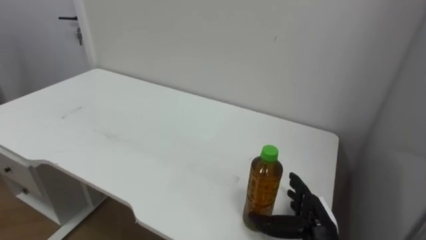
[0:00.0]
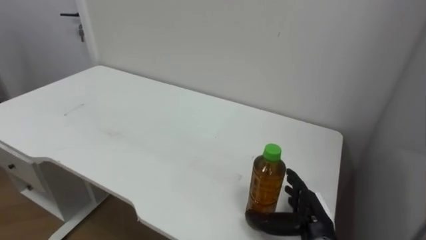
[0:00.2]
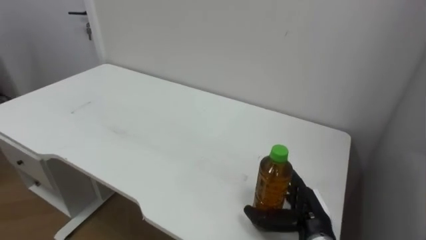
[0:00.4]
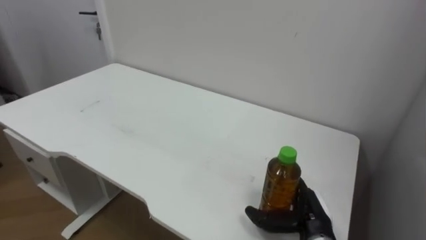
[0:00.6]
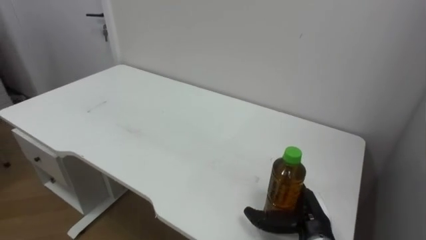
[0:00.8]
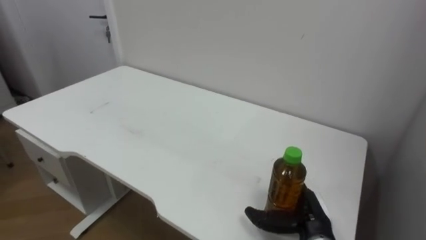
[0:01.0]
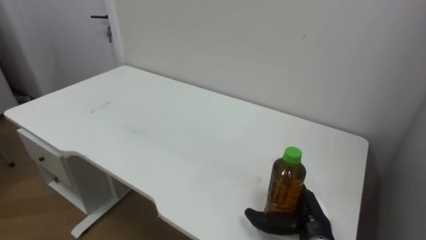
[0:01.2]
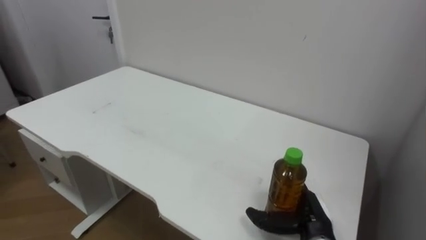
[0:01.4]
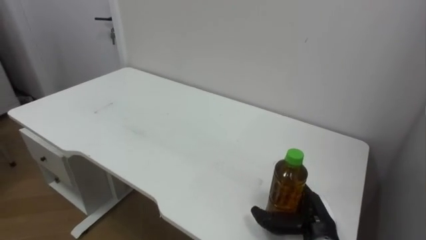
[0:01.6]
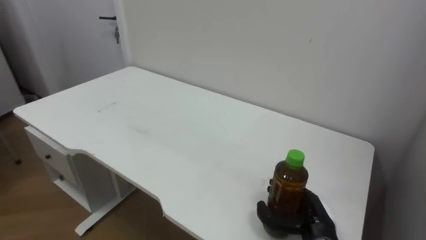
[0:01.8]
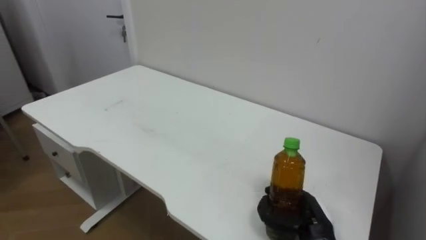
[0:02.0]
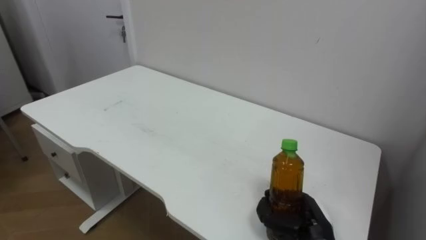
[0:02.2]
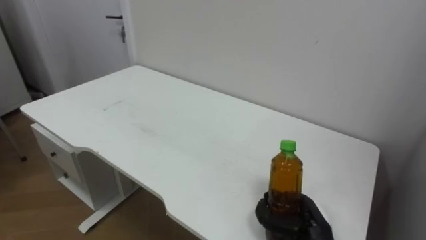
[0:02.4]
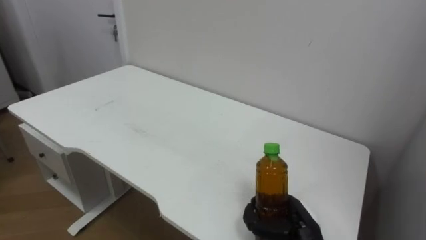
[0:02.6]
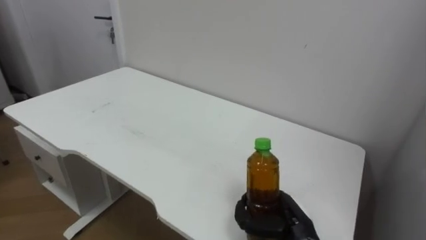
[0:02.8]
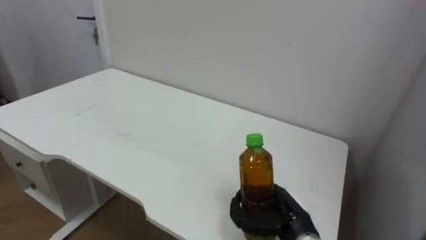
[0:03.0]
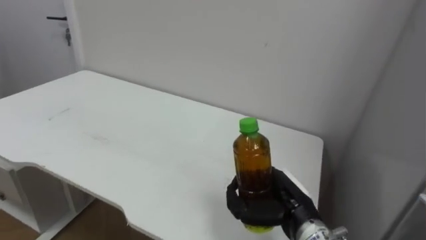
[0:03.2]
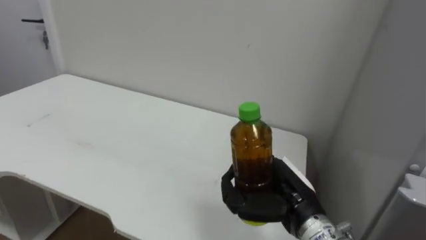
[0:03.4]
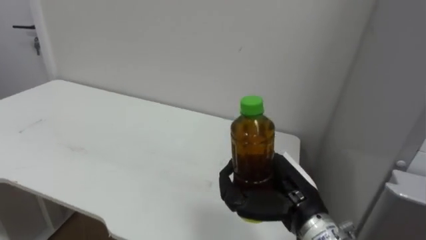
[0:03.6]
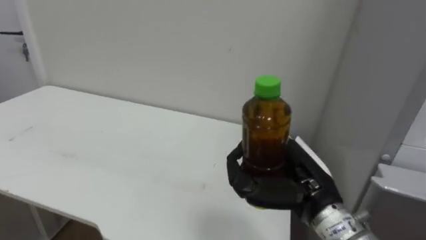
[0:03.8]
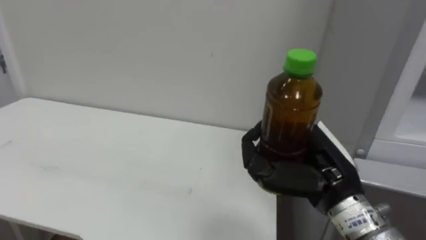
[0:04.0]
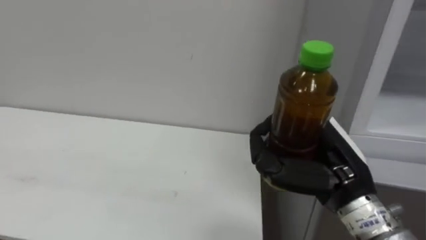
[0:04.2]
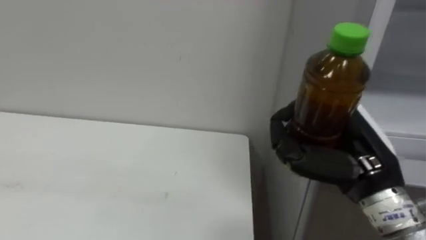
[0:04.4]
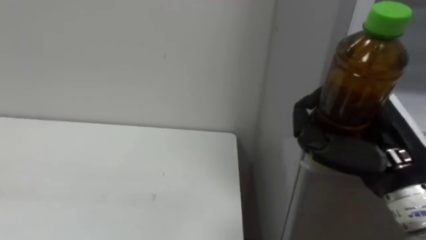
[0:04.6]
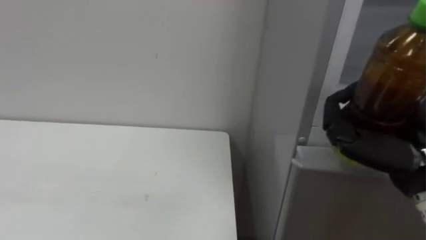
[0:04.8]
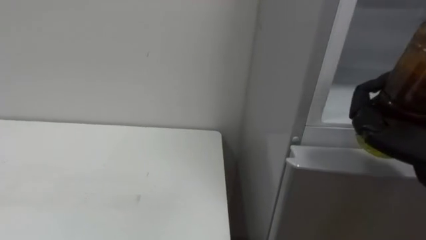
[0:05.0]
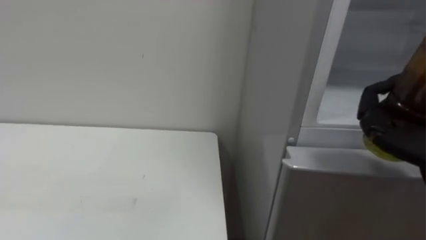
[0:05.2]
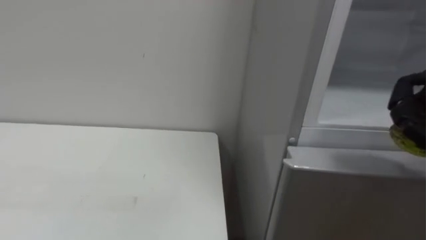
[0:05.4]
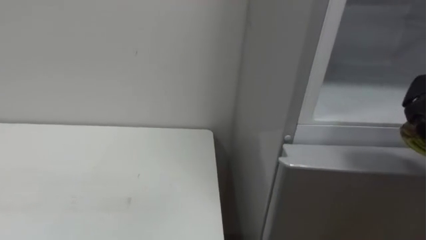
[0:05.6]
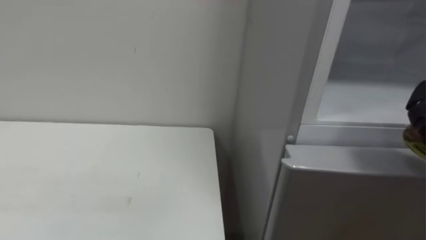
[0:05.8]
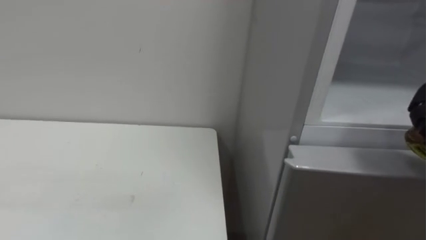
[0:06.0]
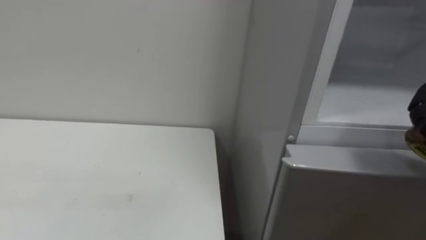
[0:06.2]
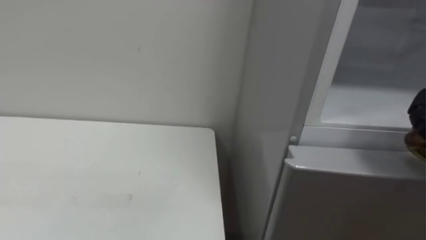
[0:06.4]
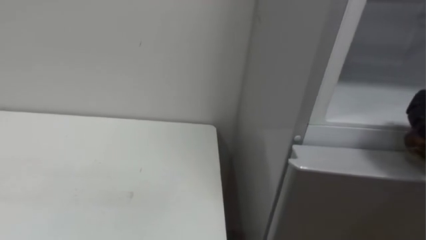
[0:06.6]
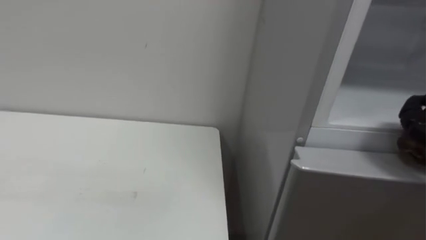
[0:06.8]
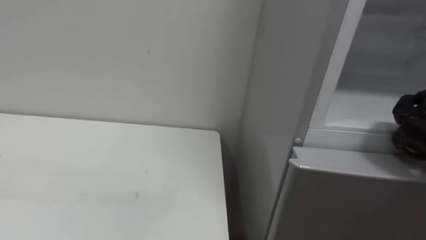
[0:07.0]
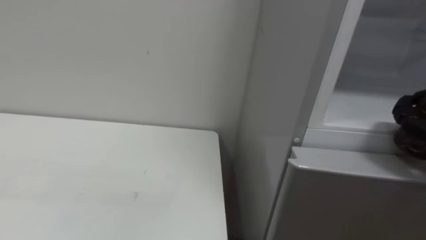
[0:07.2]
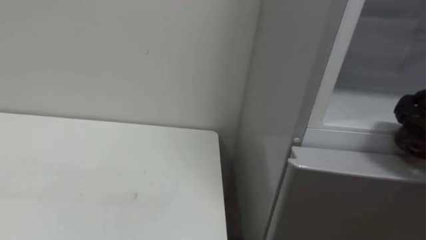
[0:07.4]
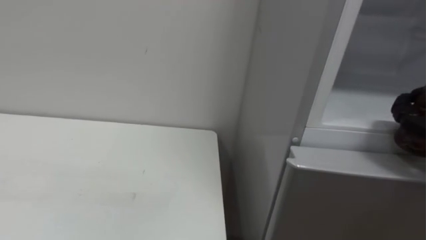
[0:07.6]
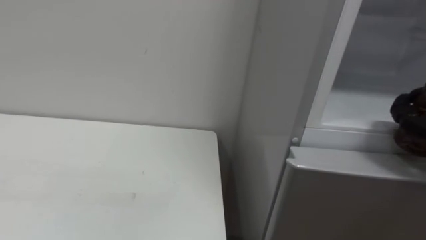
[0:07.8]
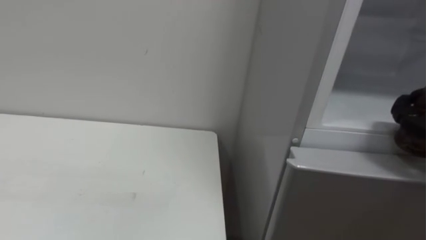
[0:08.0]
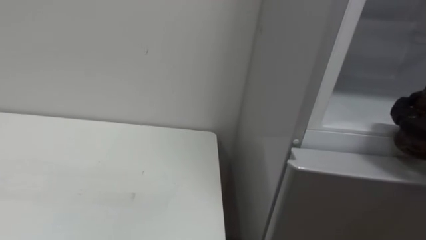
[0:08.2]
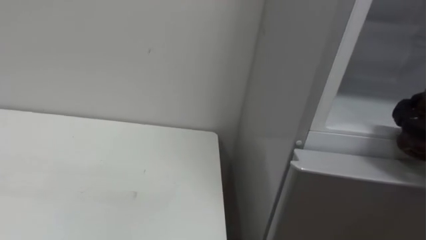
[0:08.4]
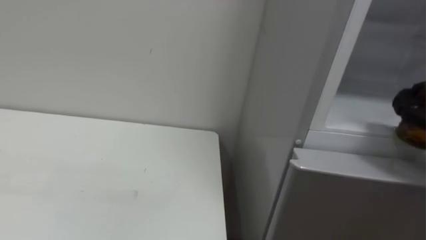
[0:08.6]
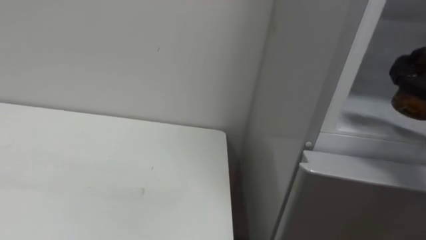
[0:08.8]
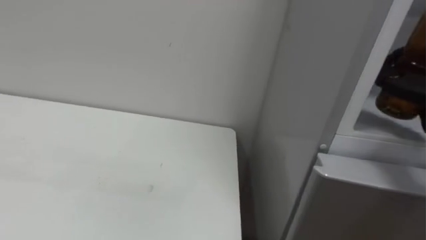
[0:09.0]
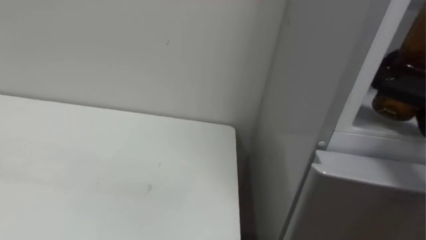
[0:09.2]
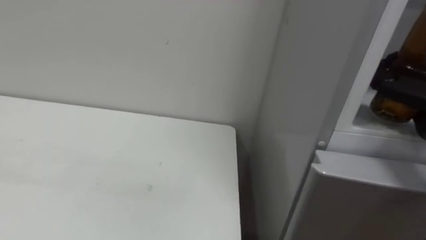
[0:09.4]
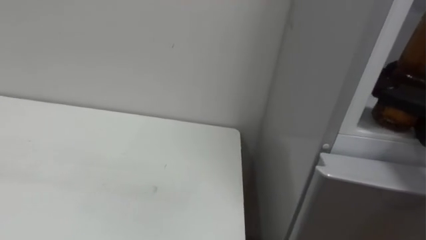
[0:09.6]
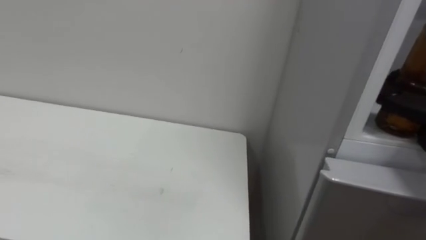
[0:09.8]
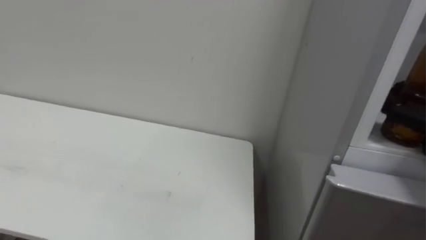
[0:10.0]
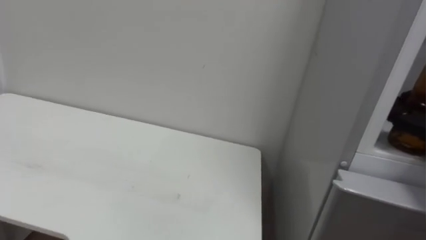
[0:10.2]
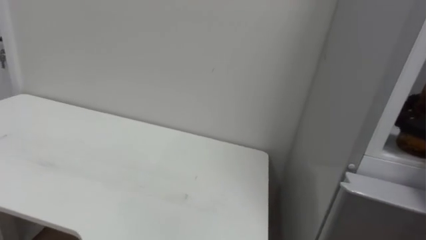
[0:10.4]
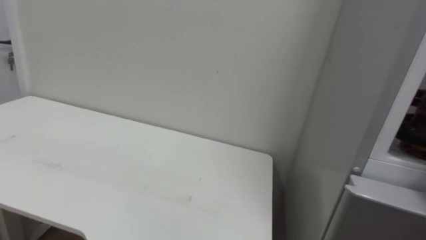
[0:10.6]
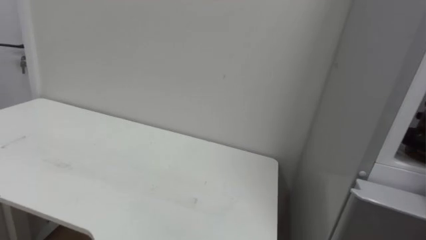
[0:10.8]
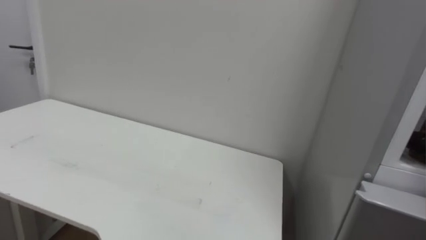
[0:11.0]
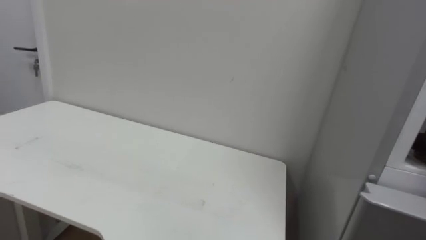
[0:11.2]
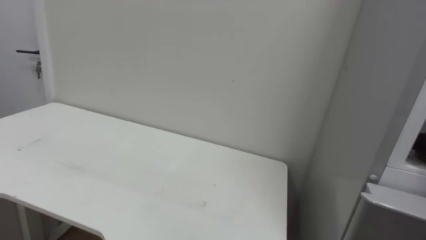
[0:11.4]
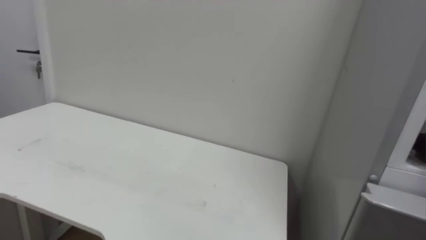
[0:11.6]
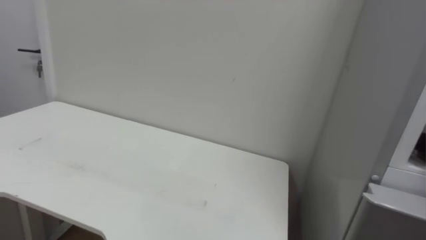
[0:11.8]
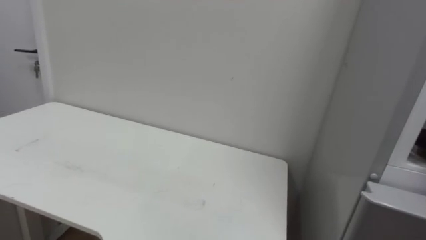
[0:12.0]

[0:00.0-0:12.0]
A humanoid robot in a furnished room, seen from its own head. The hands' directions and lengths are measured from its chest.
Task of the whole recording: Open the upper refrigerator door, put the drink from the table into the refrigerator, and then close the refrigerator door.
0:01.6 to 0:03.0: The right hand moves approximately 5 cm, and closes its fingers.
0:03.0 to 0:04.4: The right hand is displaced upward by approximately 20 cm.

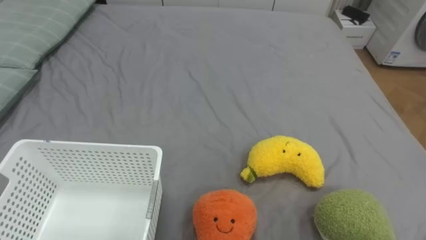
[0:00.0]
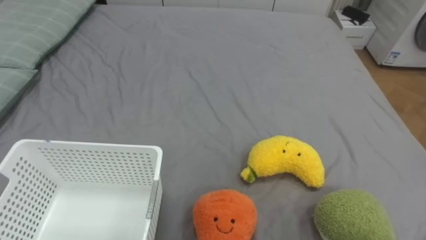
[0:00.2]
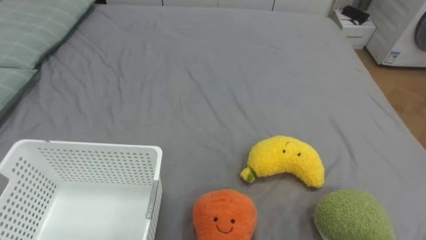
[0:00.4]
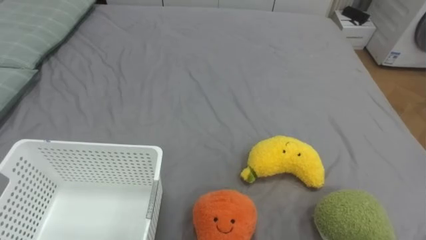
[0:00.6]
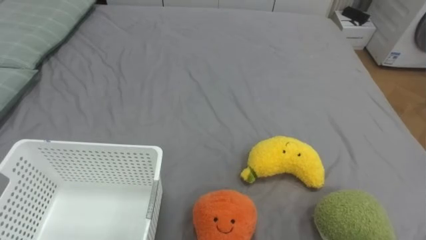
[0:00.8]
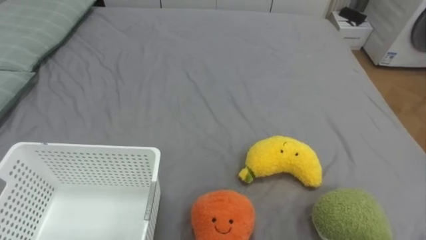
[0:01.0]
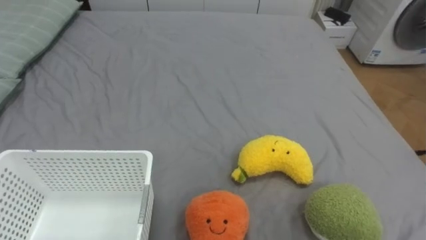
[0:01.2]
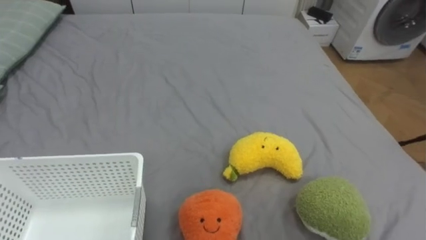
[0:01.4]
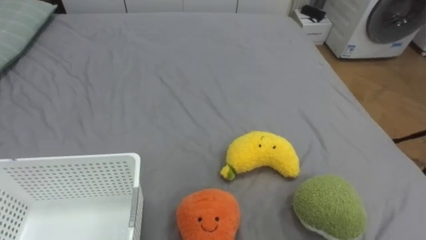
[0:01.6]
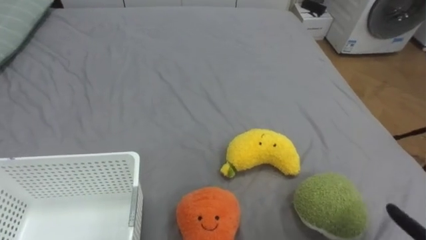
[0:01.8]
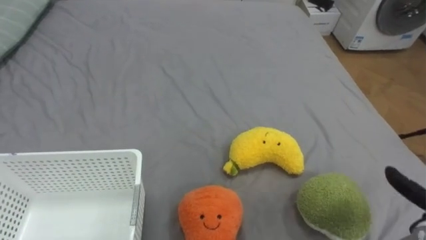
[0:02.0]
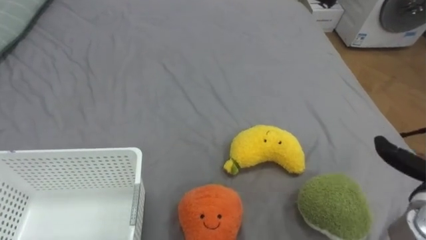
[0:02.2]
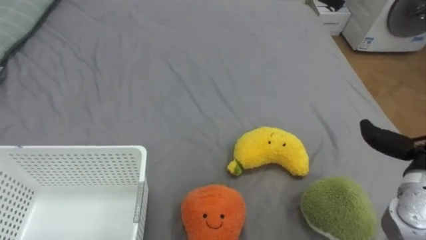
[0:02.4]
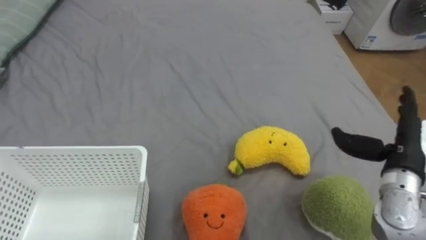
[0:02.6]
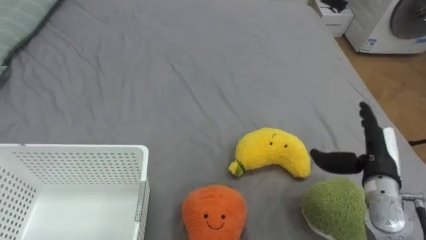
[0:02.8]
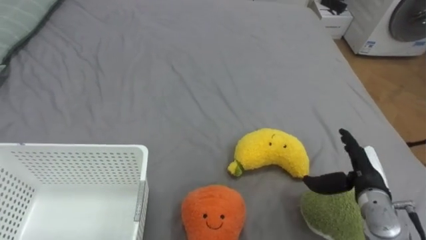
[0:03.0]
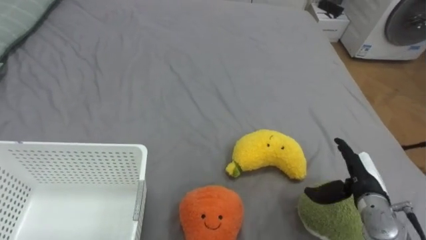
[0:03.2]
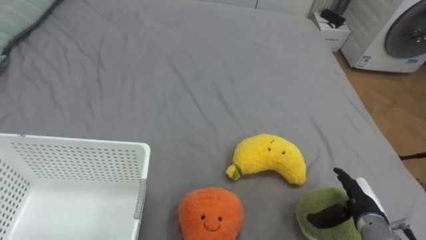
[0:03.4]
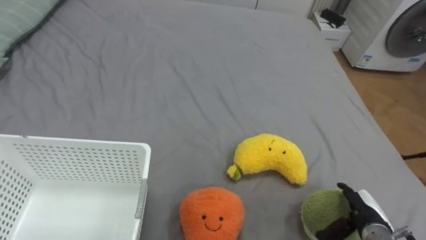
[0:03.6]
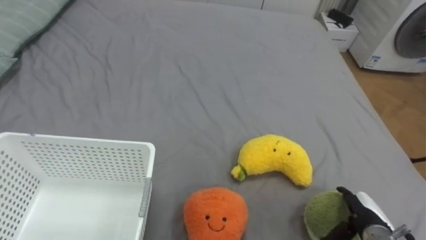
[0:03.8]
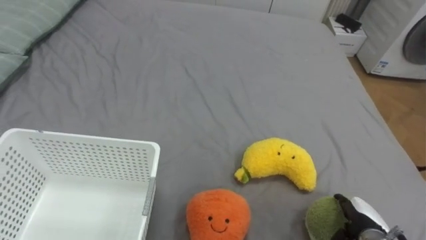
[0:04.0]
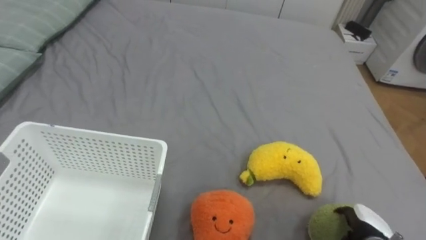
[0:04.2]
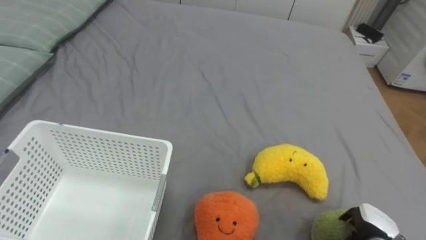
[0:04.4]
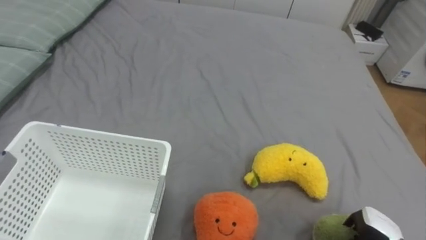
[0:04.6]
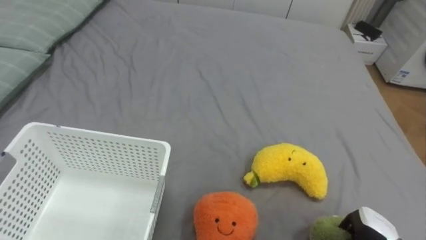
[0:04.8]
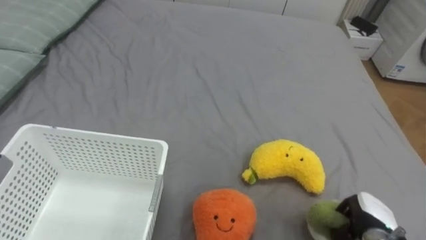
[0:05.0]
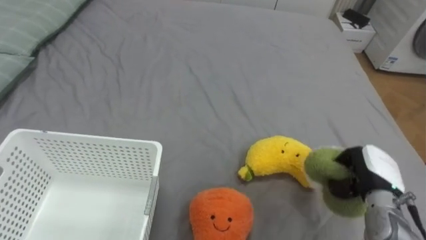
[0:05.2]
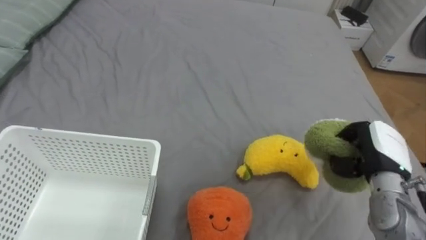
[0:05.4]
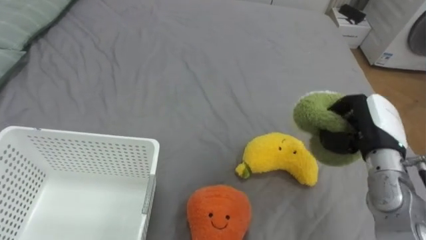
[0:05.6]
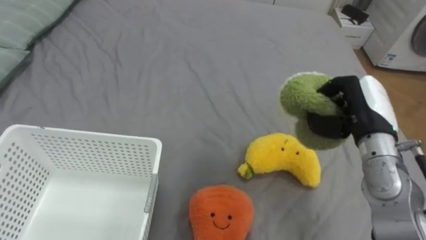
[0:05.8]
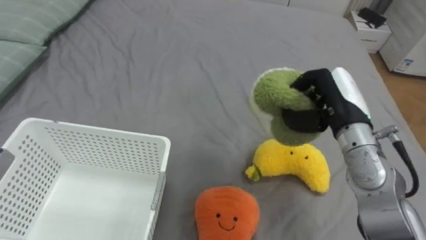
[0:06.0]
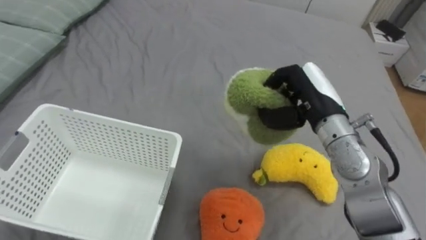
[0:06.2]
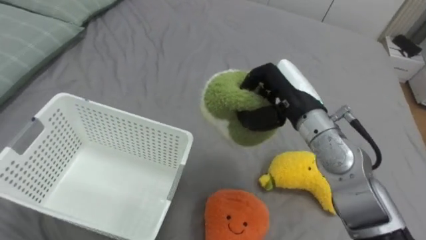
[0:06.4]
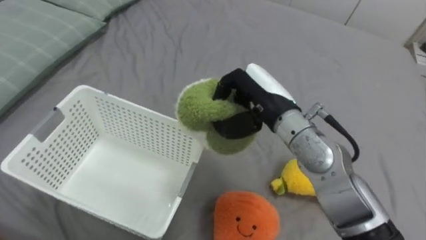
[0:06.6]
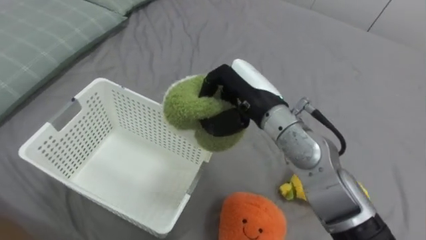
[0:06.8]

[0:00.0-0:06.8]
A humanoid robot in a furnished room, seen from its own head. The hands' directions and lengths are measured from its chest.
Task of the whole recording: Put the toys on the bed into the basket on the left.
0:02.8 to 0:04.0: The right hand shifts about 15 cm downward and backward.
0:04.0 to 0:05.4: The right hand moves upward and forward, some 15 cm, and closes.
0:05.4 to 0:06.8: The right hand is displaced to the left and upward by about 25 cm.
